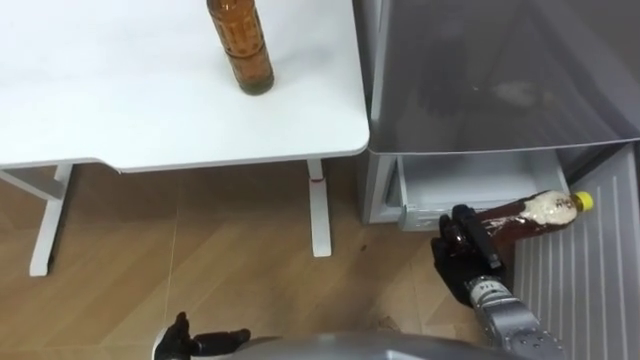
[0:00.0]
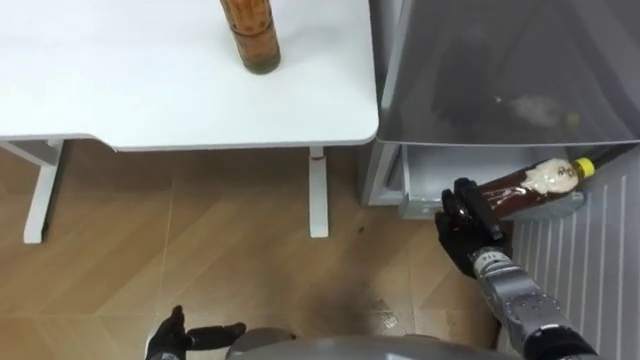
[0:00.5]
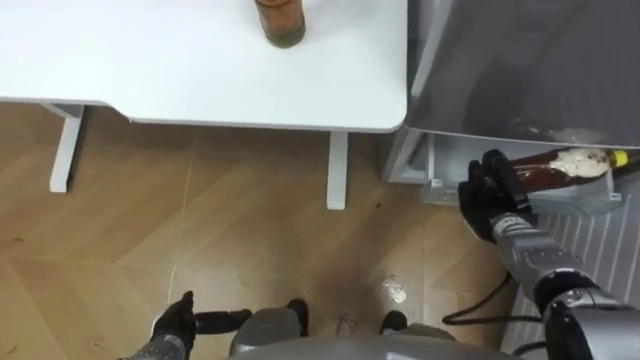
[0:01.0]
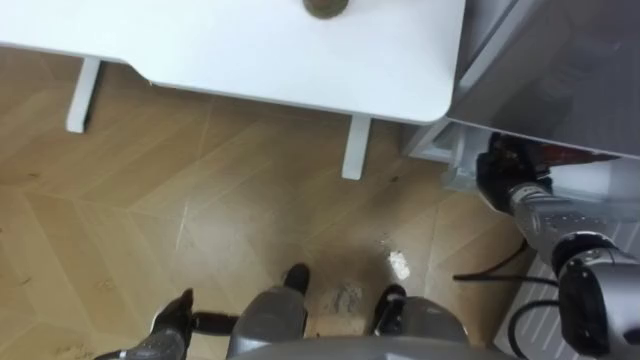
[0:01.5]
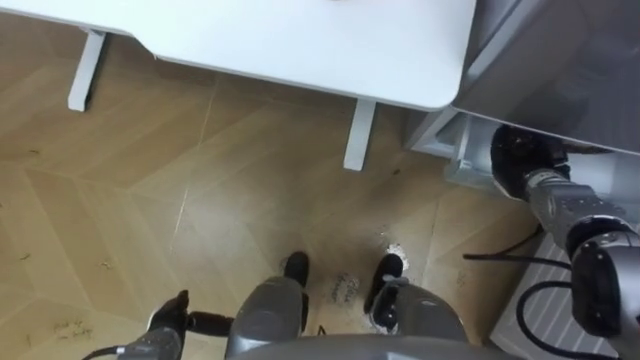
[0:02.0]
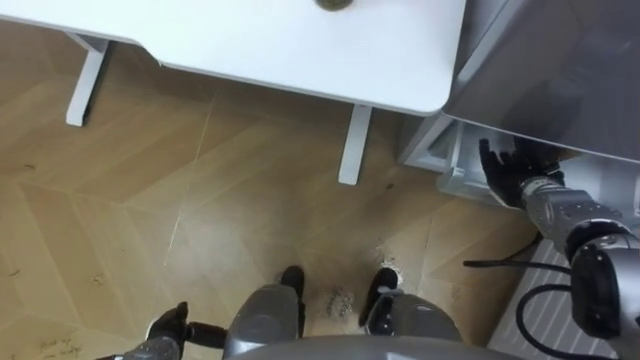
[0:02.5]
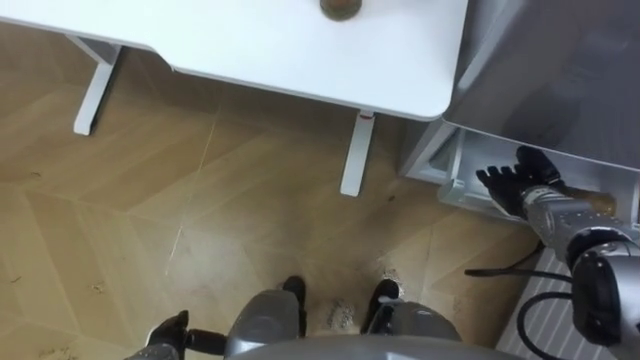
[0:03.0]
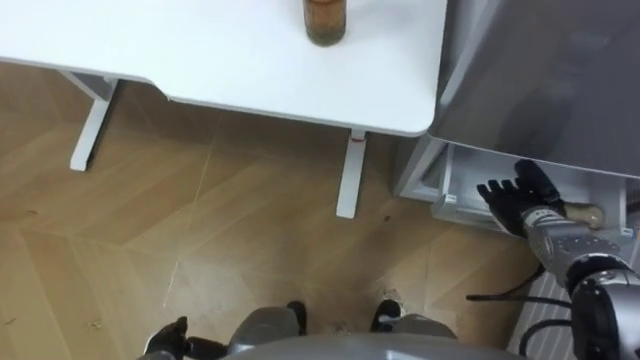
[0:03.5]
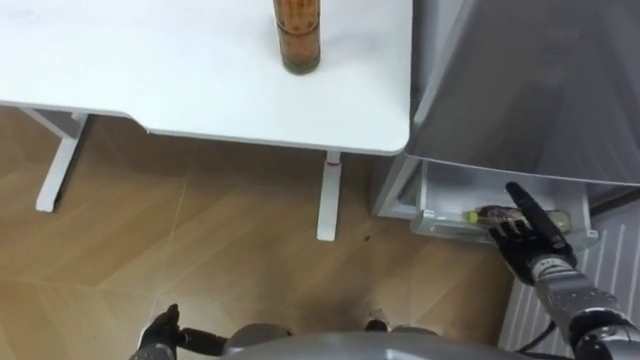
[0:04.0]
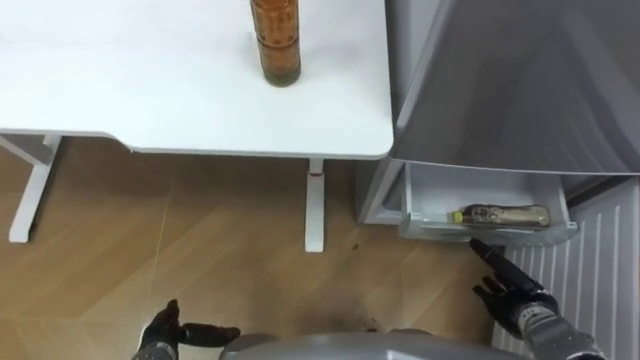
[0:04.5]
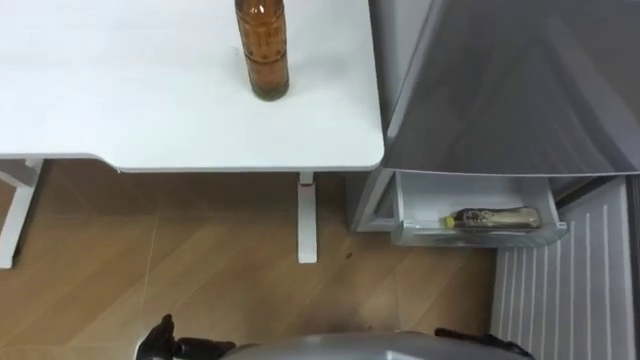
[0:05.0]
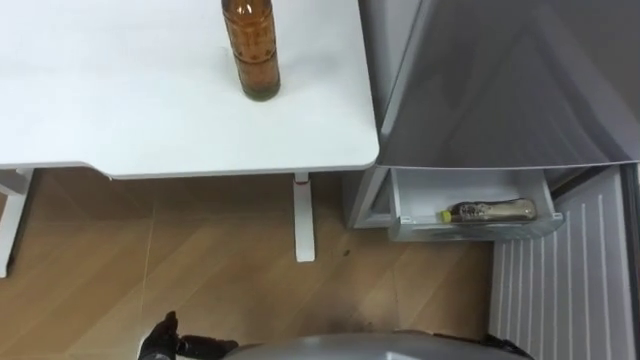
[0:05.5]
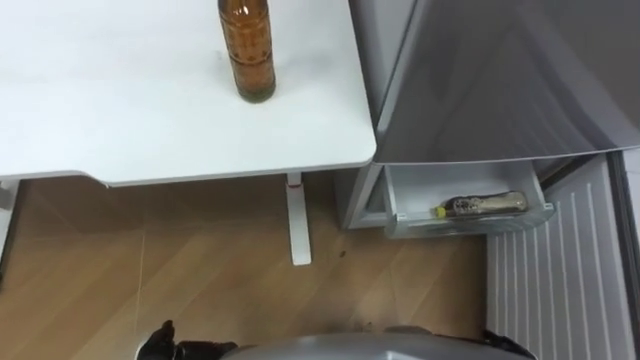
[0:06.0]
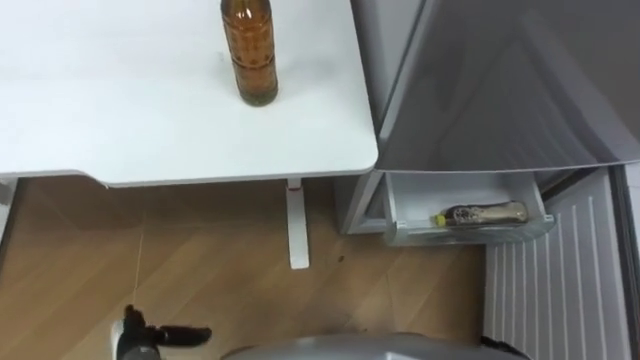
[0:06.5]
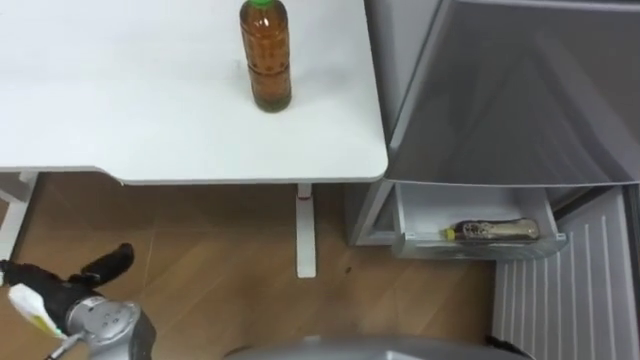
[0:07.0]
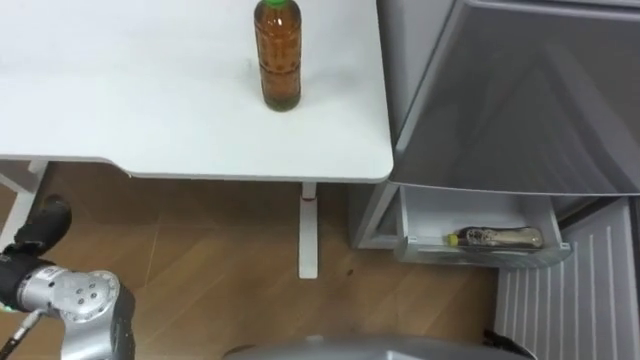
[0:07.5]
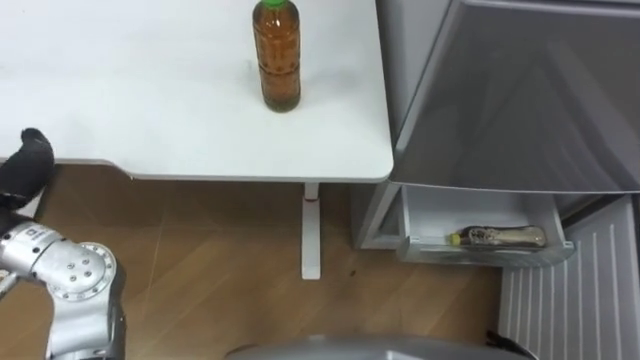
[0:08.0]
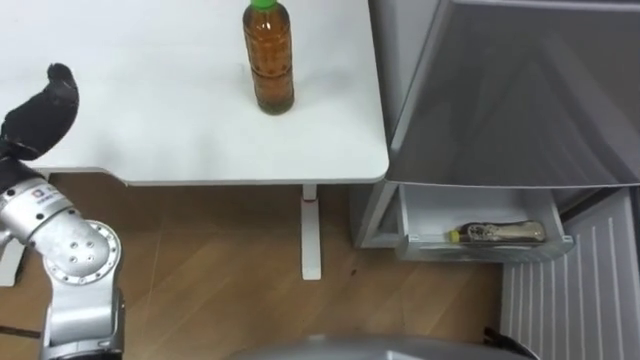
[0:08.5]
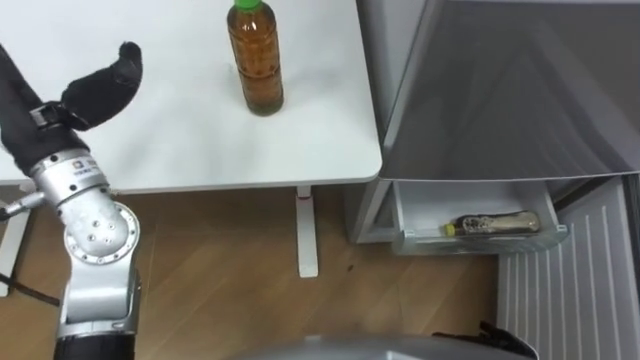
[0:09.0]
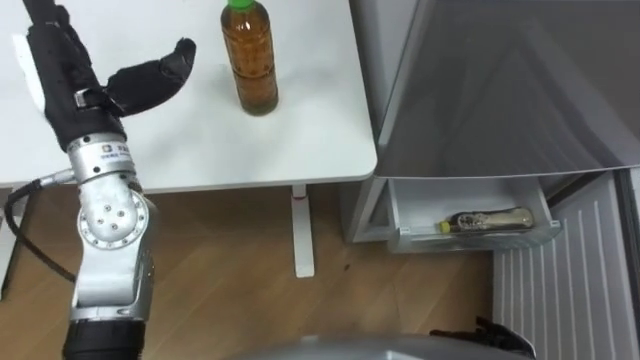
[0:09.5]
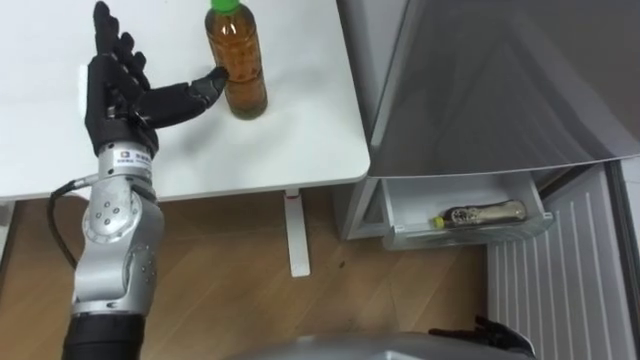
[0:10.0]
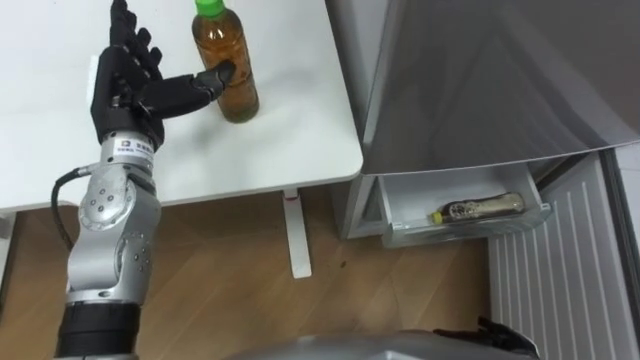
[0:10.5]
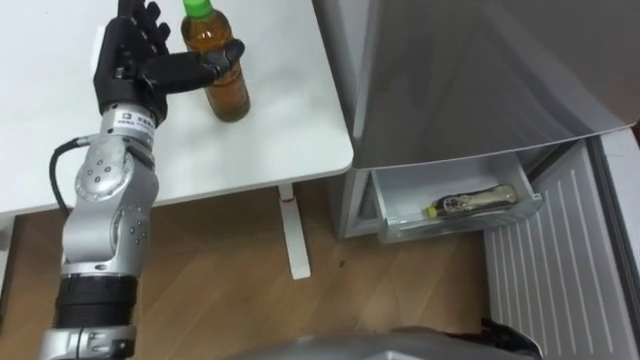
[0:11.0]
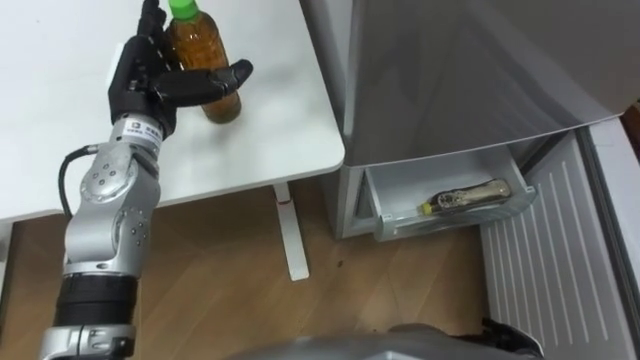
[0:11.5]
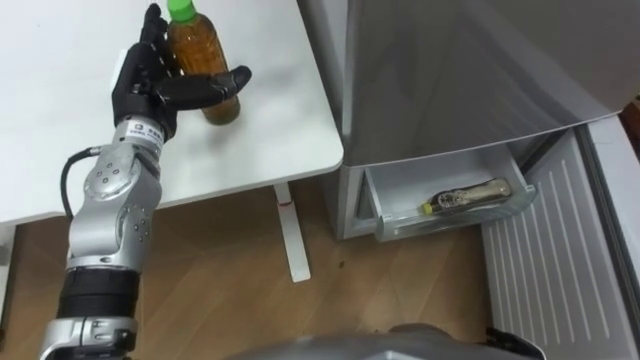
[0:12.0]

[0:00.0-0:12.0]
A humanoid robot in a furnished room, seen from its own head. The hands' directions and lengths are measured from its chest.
Task of the whole recording: Place the drink on the table on the bottom shelf of the refrigerator, then close the drawer and the refrigerator door.
0:00.0 to 0:02.0: The right hand shifts approximately 15 cm forward, to the right and upward.
0:02.0 to 0:04.0: The right hand heads backward and downward, covering roughly 10 cm, and opens its fingers.

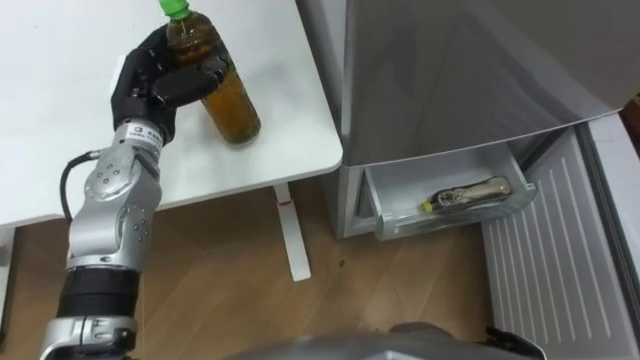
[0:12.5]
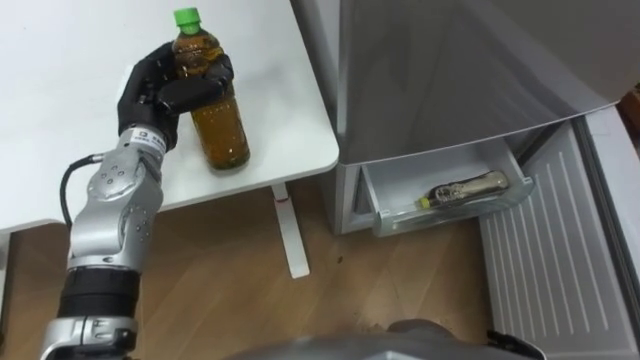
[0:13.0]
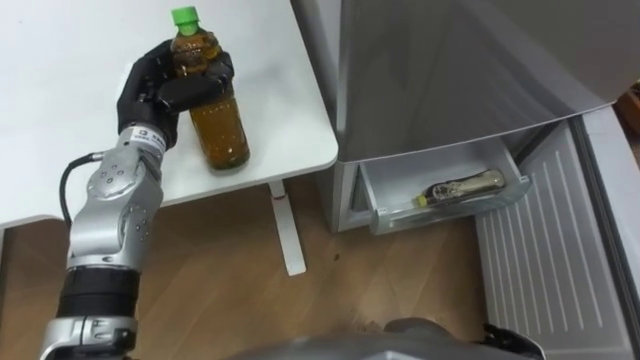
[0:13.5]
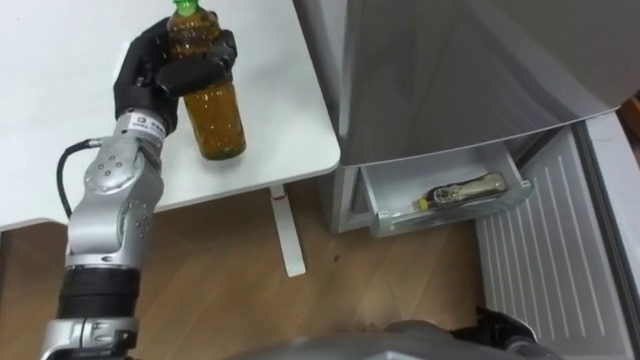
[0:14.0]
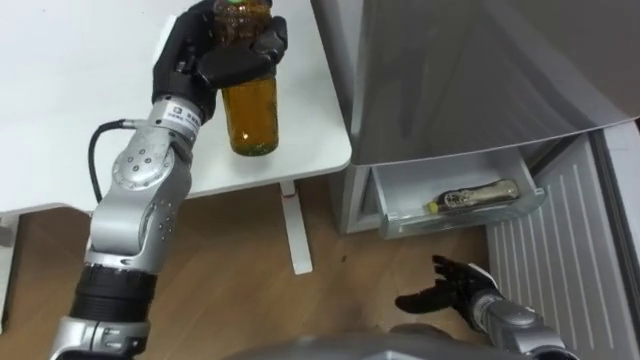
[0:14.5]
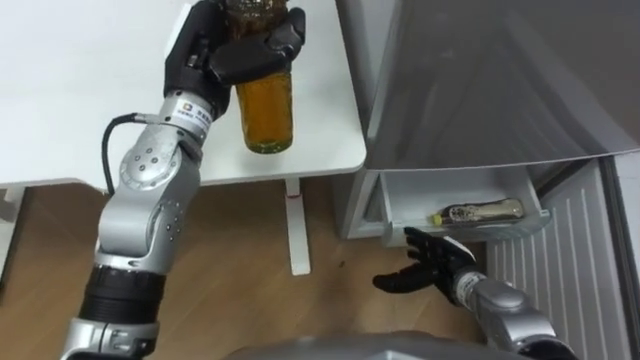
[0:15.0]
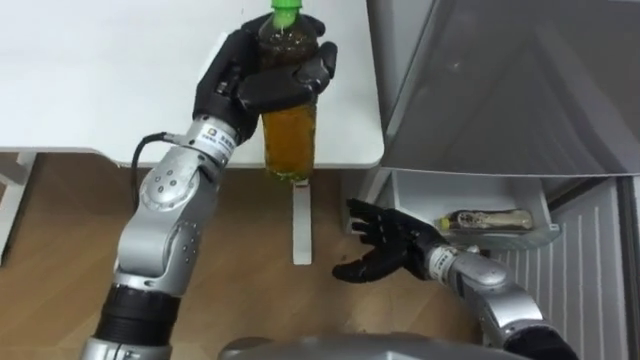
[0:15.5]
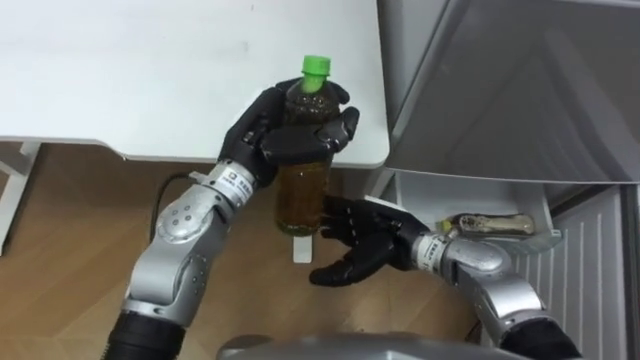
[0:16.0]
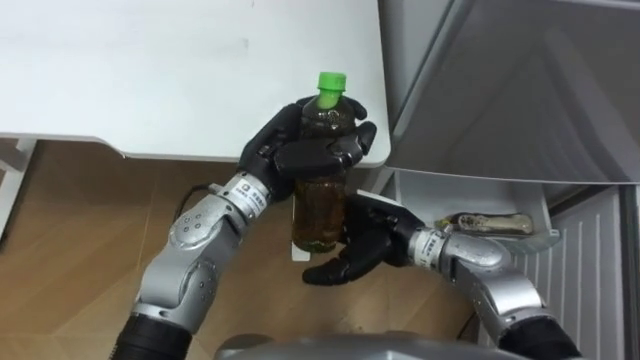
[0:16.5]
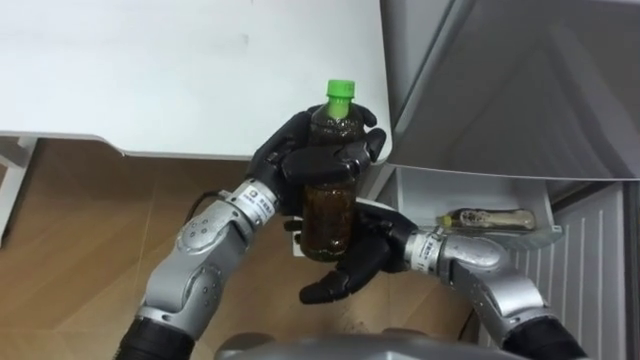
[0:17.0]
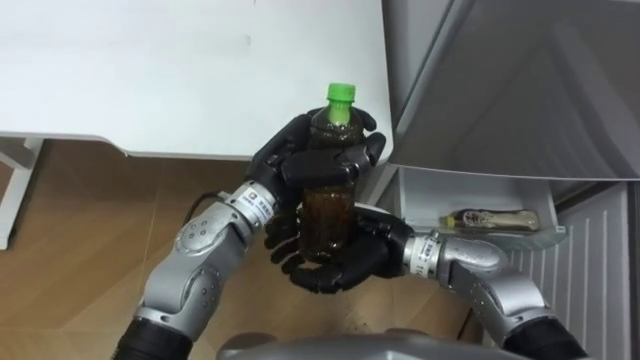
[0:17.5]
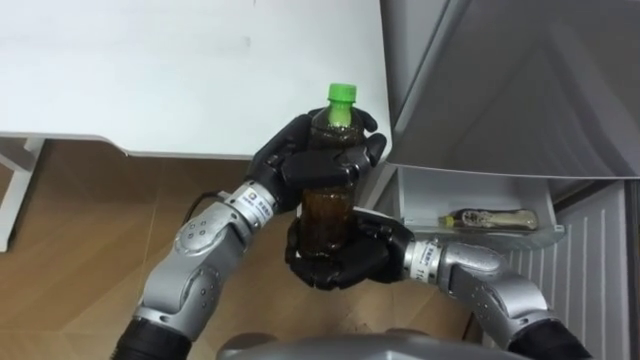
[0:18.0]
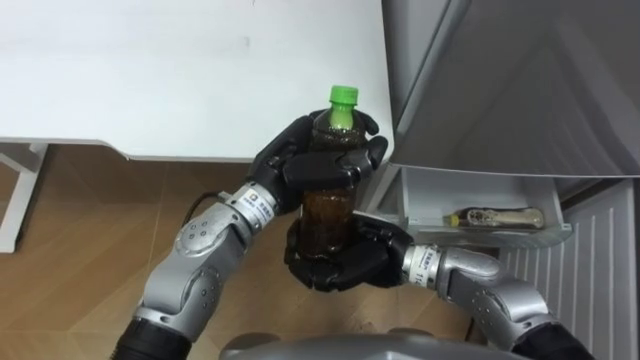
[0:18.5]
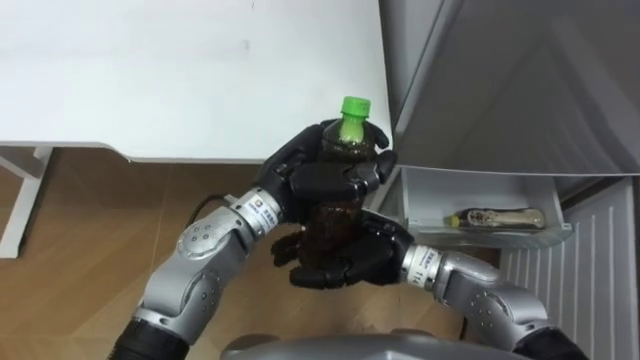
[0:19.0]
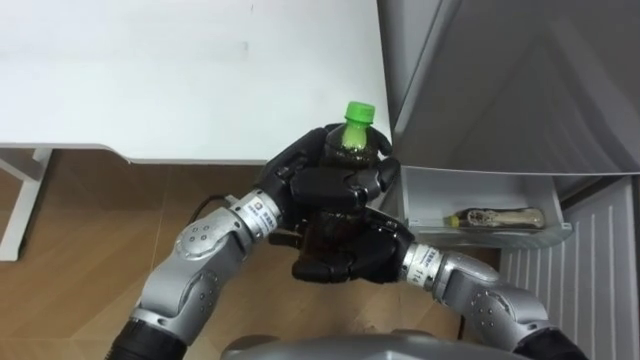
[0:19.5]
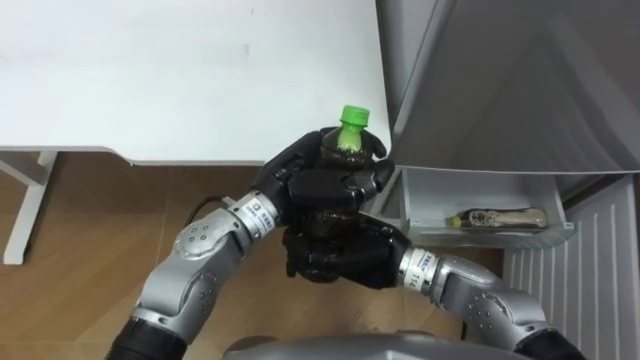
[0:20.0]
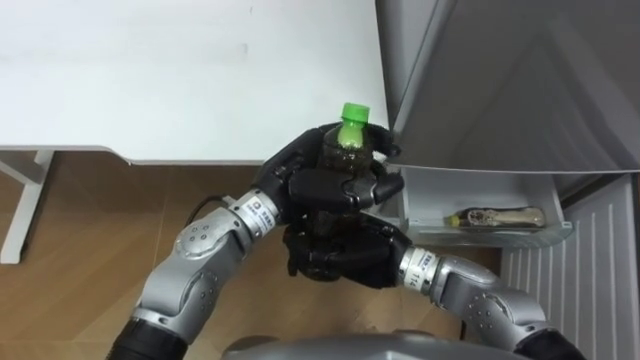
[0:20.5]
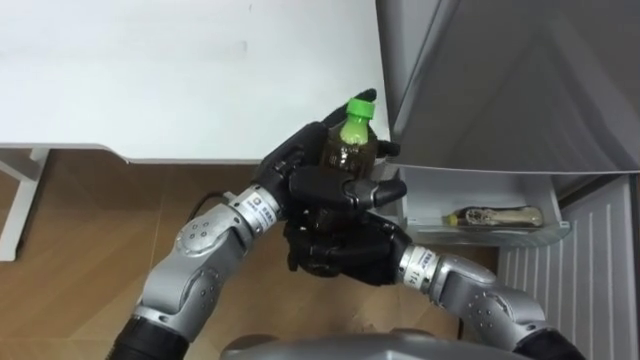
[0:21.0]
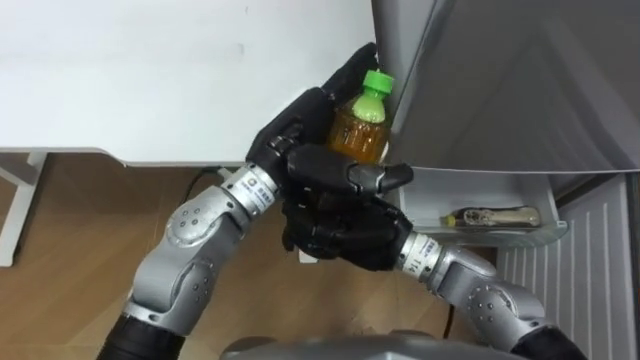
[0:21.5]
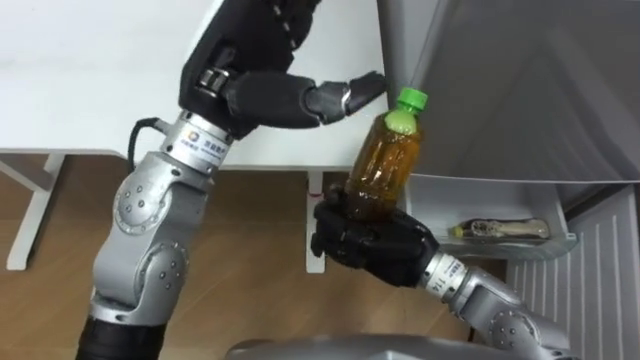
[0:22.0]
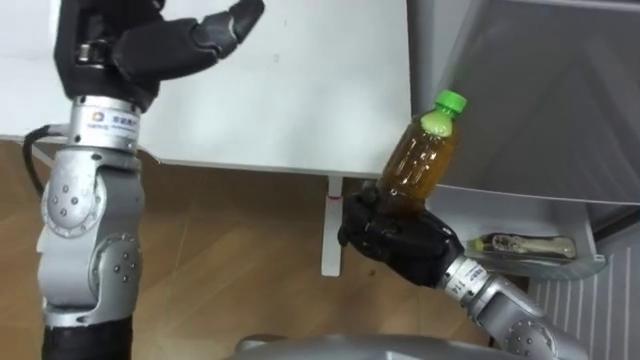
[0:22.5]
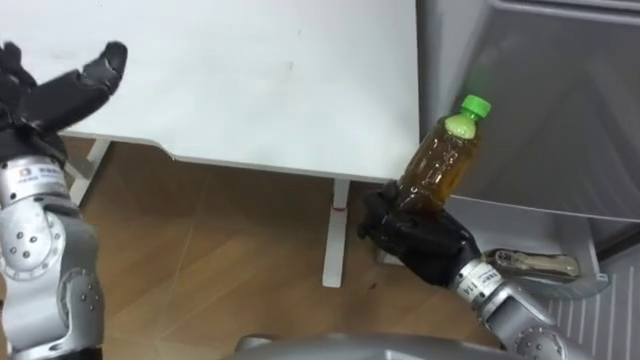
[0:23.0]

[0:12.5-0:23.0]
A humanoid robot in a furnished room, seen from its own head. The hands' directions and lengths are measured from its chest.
Task of the whole recording: Place the drink on the table on the bottom shelf of the refrigerator, then close the drawer and the refrigerator door.
0:12.5 to 0:14.5: The left hand heads to the right, covering roughly 5 cm.
0:14.5 to 0:16.5: The right hand heads to the left, upward and forward, covering roughly 20 cm; the left hand travels to the right, backward and downward by roughly 15 cm.
0:16.5 to 0:19.0: The right hand closes, then reopens.
0:19.0 to 0:21.0: The left hand opens.
0:21.0 to 0:23.0: The right hand goes approximately 10 cm to the right.
